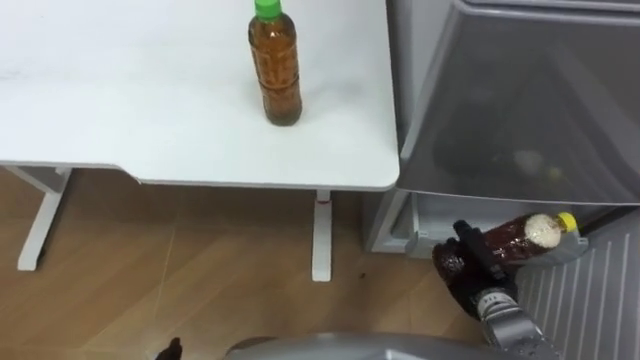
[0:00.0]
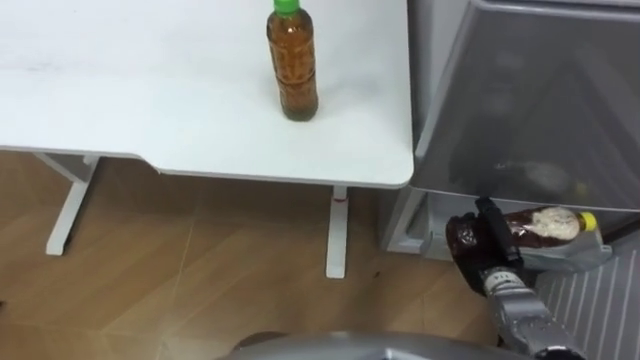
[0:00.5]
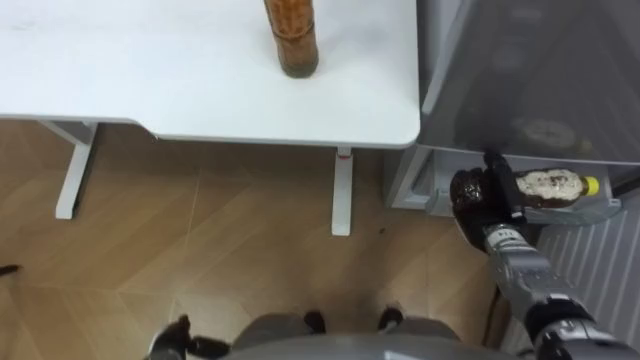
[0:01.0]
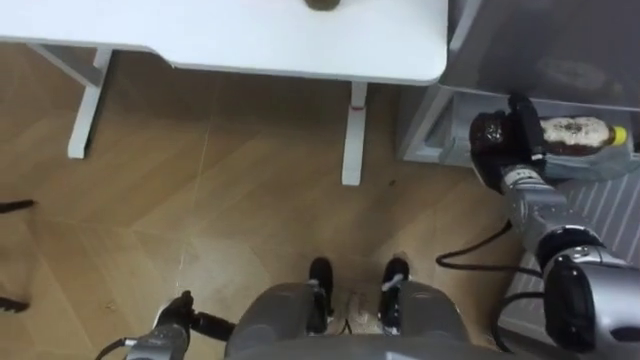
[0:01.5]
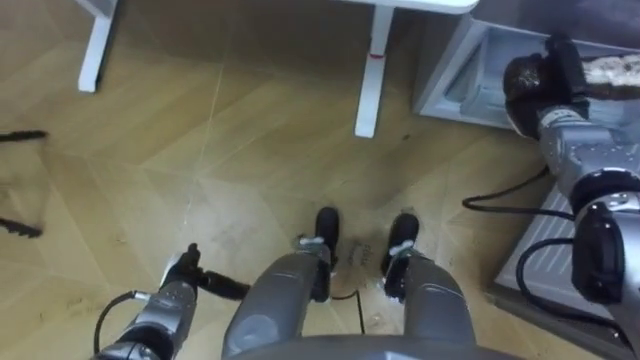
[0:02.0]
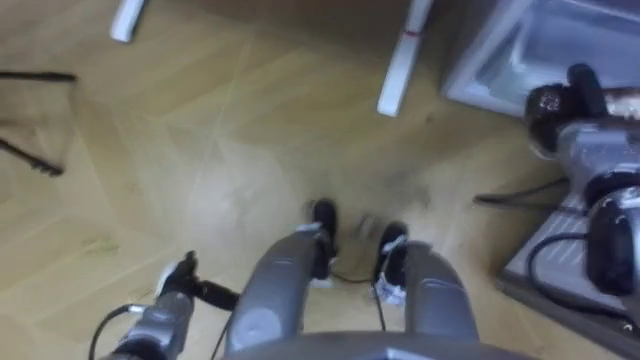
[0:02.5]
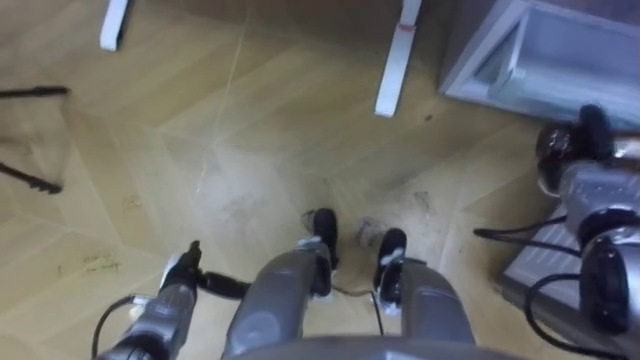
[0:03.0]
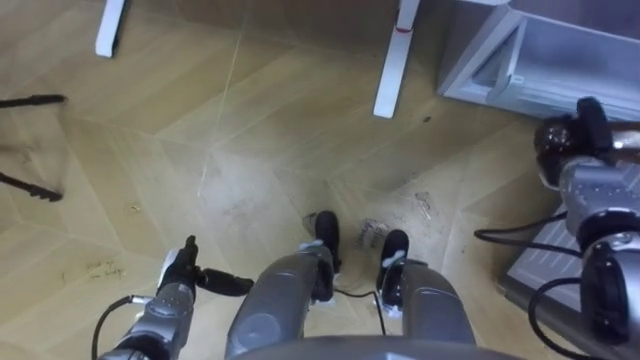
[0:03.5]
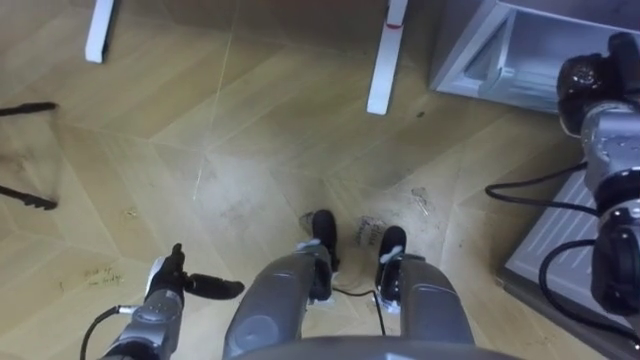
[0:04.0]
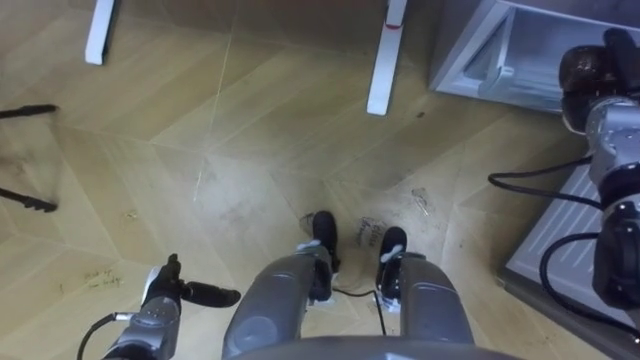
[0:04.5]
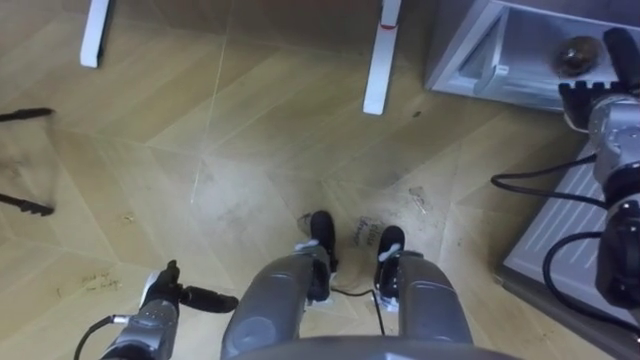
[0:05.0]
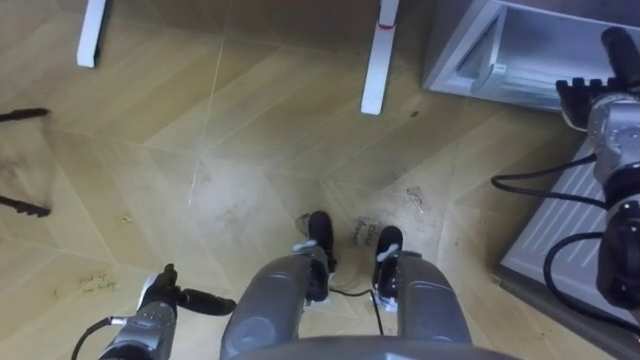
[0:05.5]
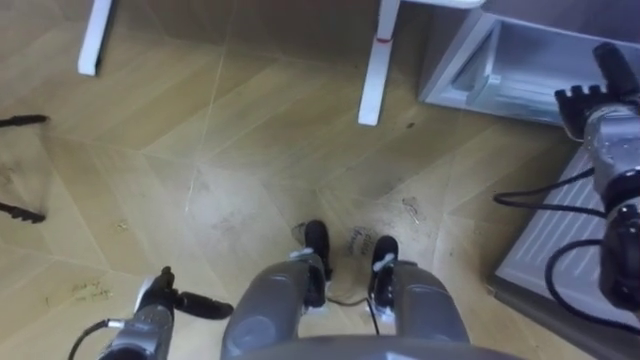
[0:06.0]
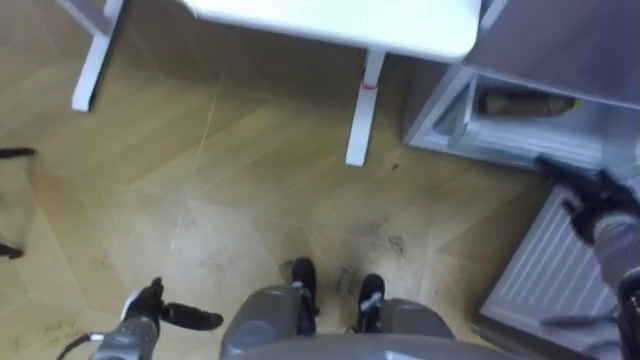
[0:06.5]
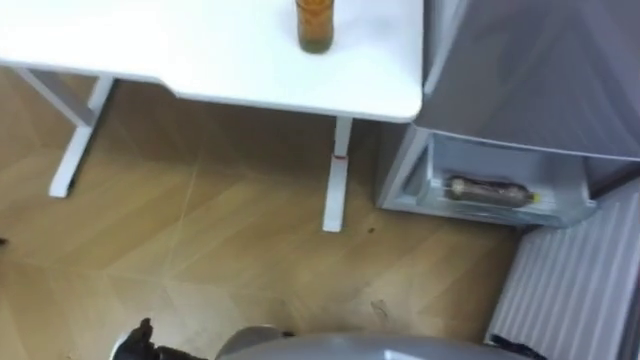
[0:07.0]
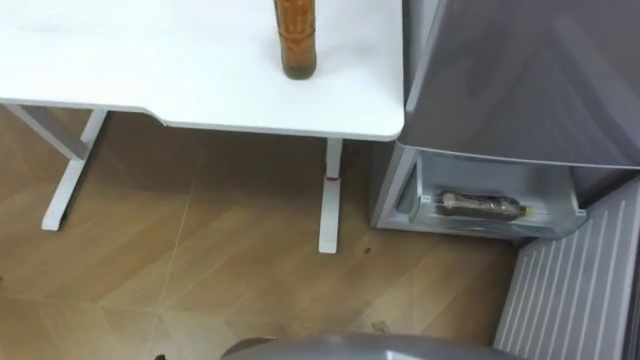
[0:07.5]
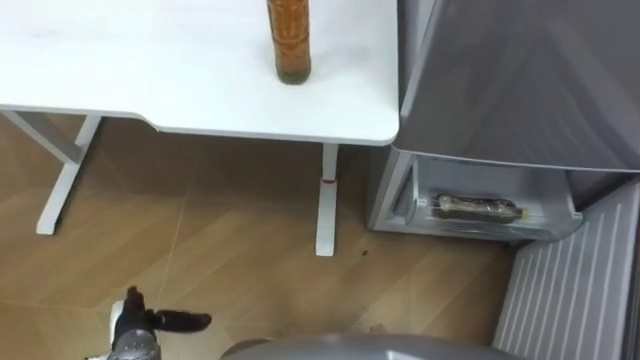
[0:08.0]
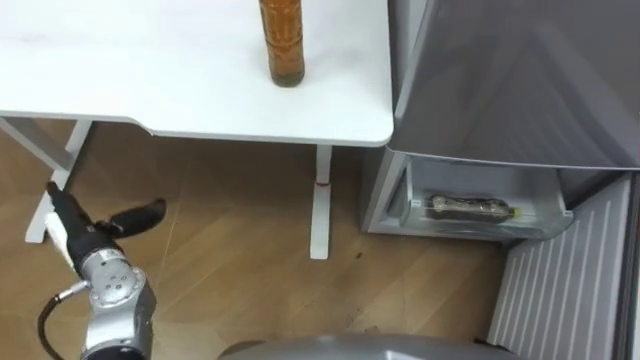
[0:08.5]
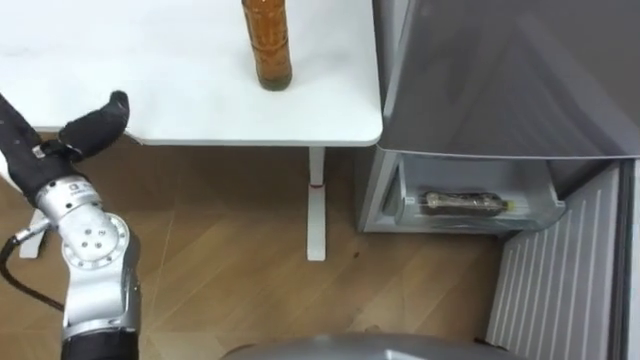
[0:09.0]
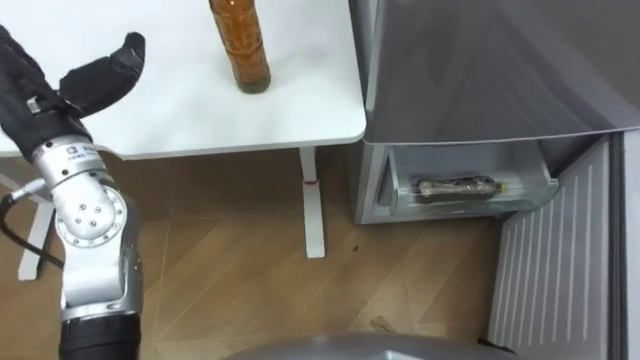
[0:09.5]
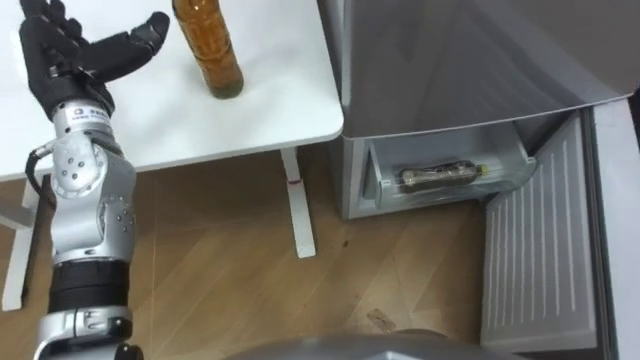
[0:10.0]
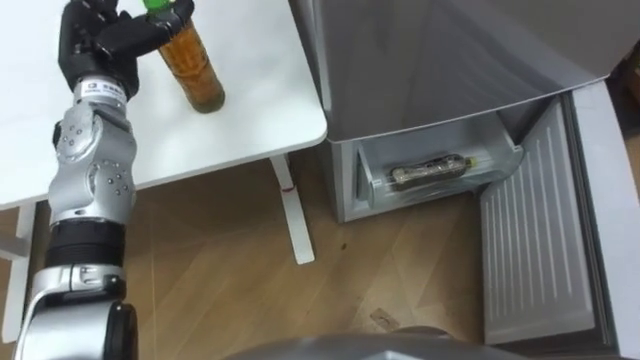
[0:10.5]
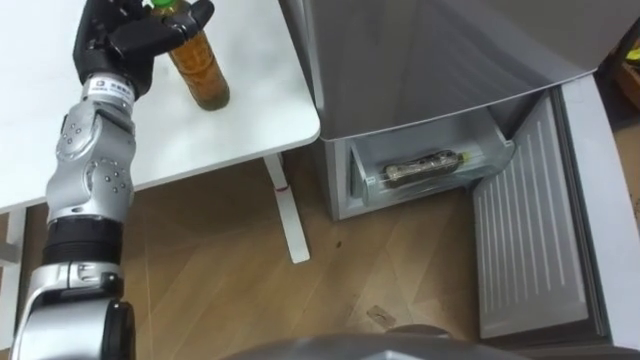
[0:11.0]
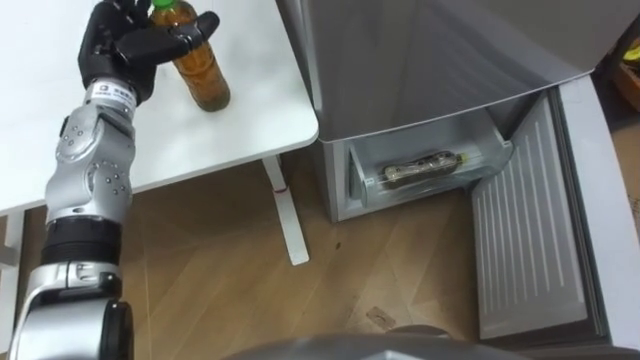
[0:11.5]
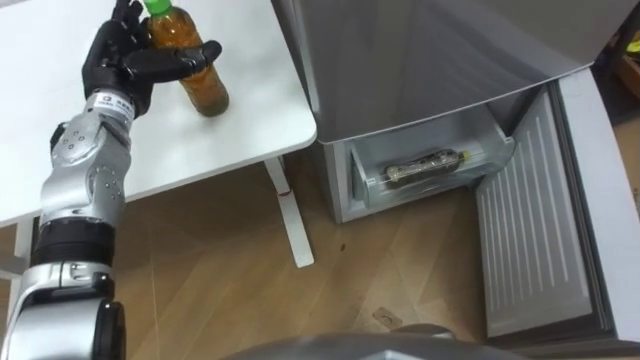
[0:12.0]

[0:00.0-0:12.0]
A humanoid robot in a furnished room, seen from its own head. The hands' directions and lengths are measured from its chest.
Task of the whole recording: Place the drink on the table on the bottom shelf of the refrigerator, then close the drawer and the refrigerator door.
0:00.0 to 0:02.0: The right hand heads forward and upward, covering approximately 25 cm.
0:02.0 to 0:04.0: The right hand shifts about 5 cm to the right.
0:04.0 to 0:06.0: The right hand opens its fingers.
0:08.0 to 0:10.0: The left hand moves upward and forward, about 40 cm.
0:10.0 to 0:12.0: The left hand moves some 5 cm.

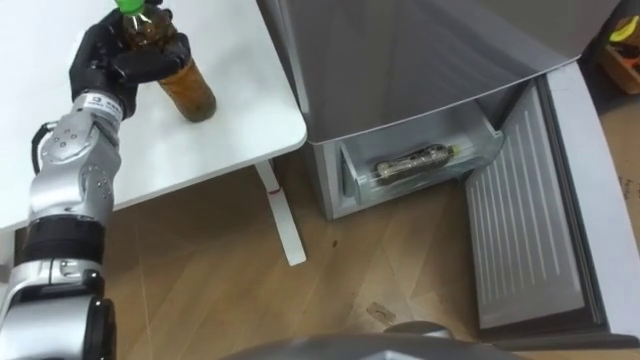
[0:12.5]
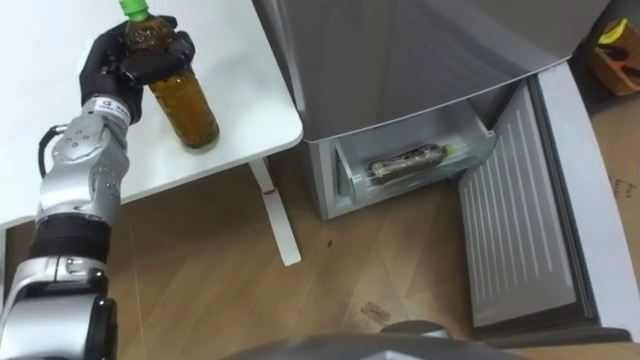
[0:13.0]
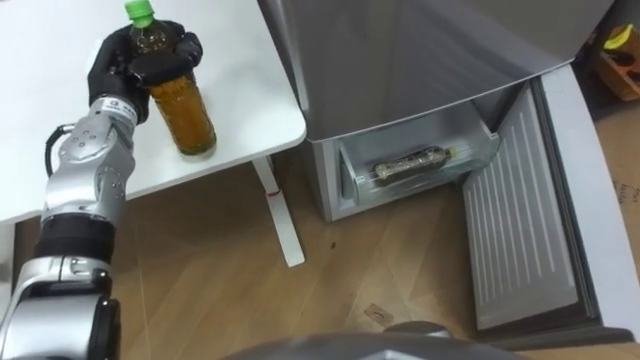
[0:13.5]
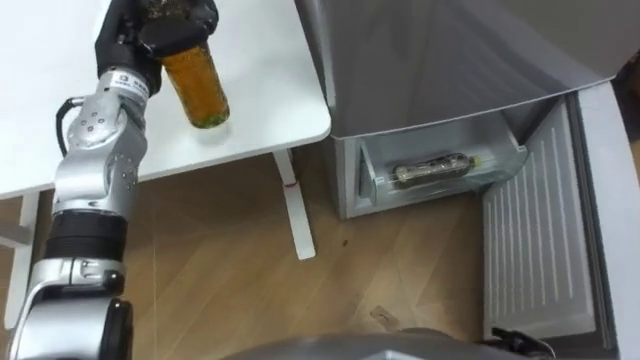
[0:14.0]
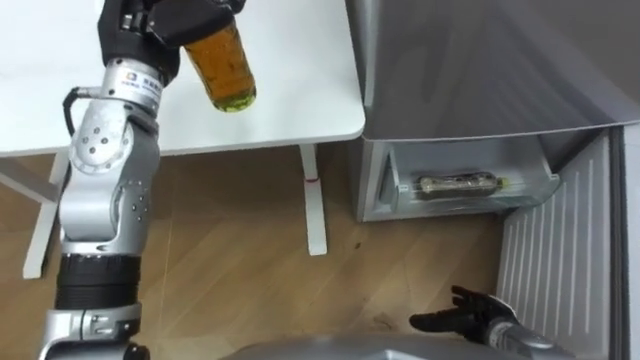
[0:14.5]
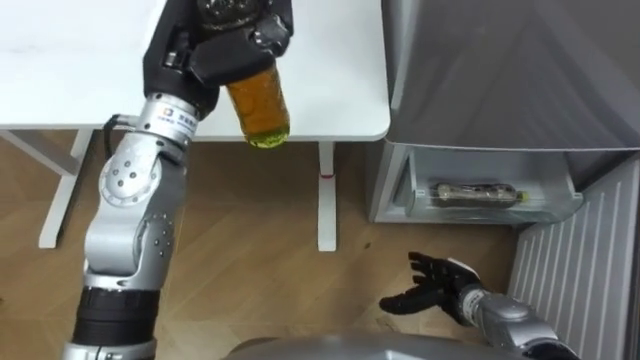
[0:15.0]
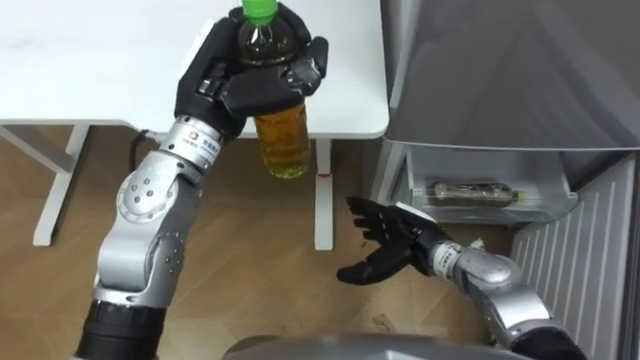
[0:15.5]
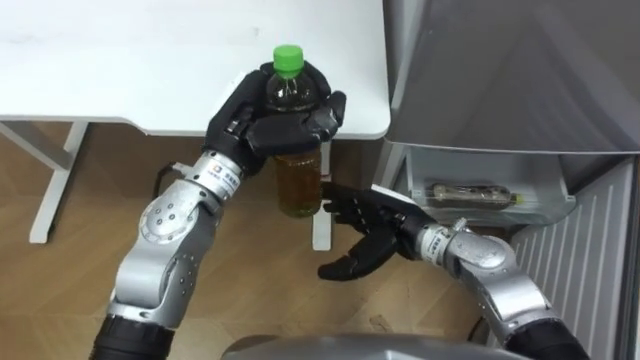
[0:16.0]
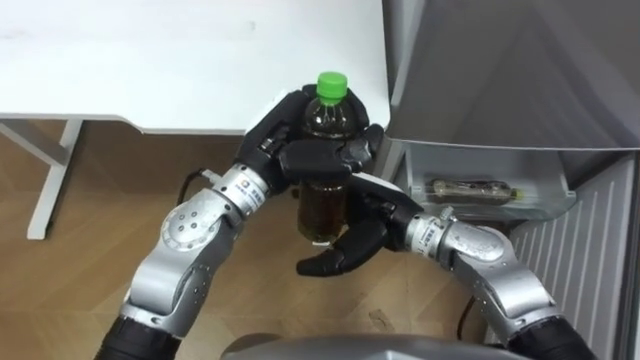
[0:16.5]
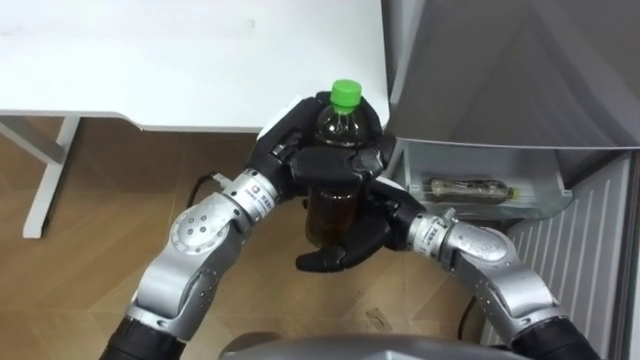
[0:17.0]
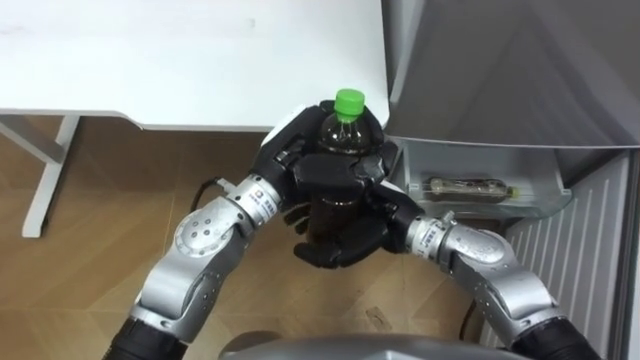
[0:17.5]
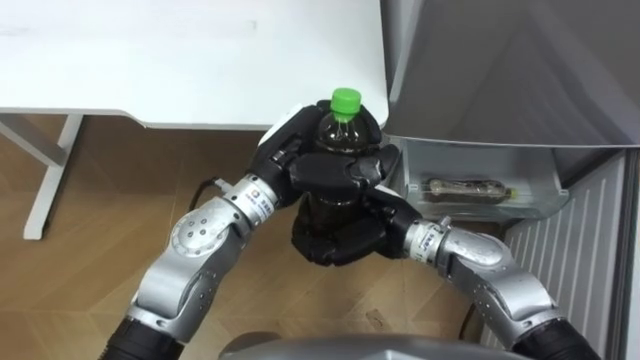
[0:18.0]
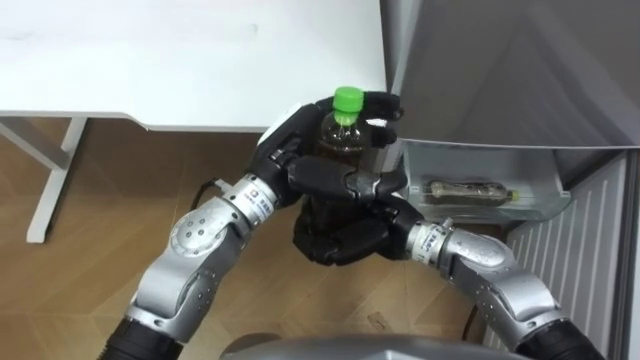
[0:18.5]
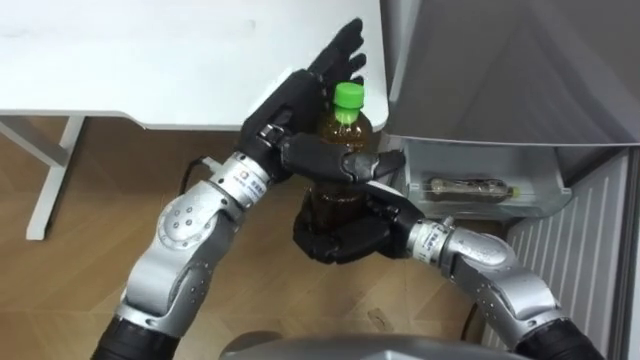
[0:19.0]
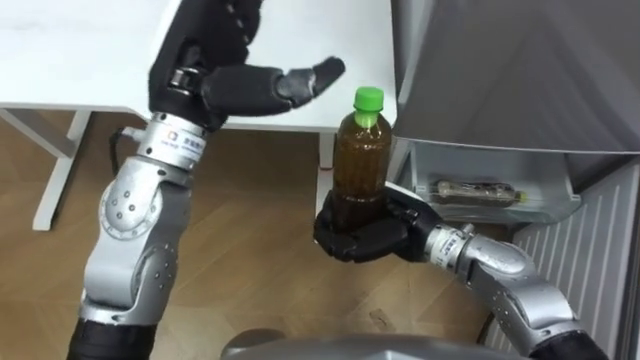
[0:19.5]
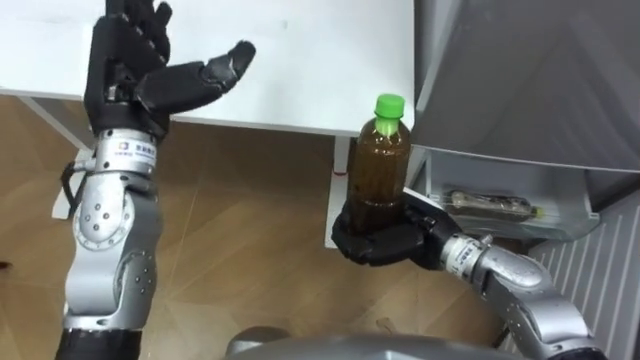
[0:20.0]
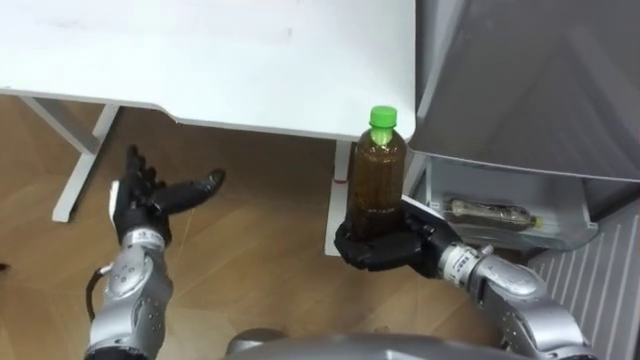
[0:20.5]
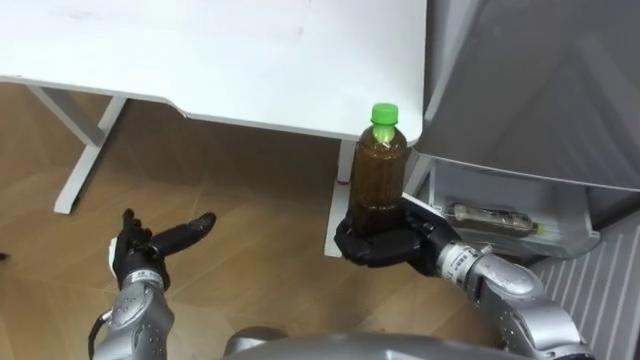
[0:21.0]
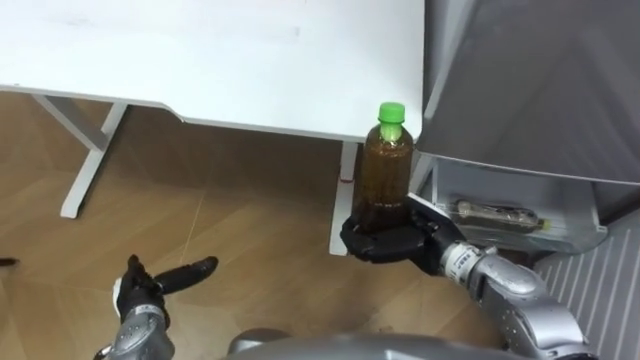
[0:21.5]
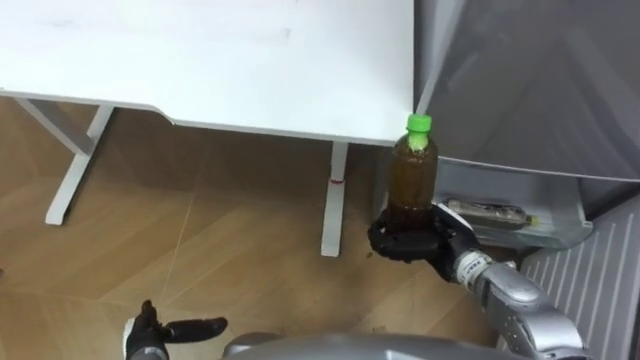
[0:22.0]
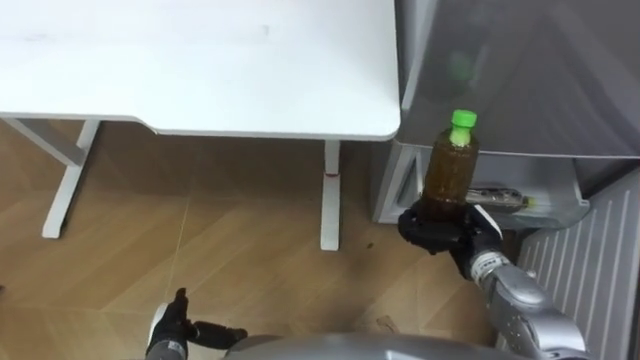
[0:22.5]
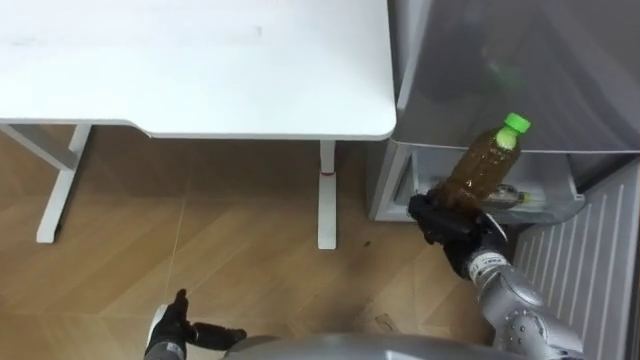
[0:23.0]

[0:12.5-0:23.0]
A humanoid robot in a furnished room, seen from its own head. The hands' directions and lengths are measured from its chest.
Task of the whole recording: Place the drink on the table on the bottom shelf of the refrigerator, then close the drawer and the refrigerator door.
0:12.5 to 0:14.5: The left hand goes roughly 15 cm upward and to the right, and closes its fingers.
0:14.5 to 0:16.5: The right hand shifts about 30 cm to the left, upward and forward. The left hand moves to the right, downward and backward, approximately 20 cm.
0:16.5 to 0:19.0: The left hand opens up. Meanwhile the right hand closes its fingers.
0:19.0 to 0:21.0: The right hand shifts approximately 5 cm to the right, while the left hand heads to the left, downward and backward, covering about 30 cm.
0:21.0 to 0:23.0: The left hand goes some 15 cm backward and downward; the right hand moves to the right, roughly 10 cm.
